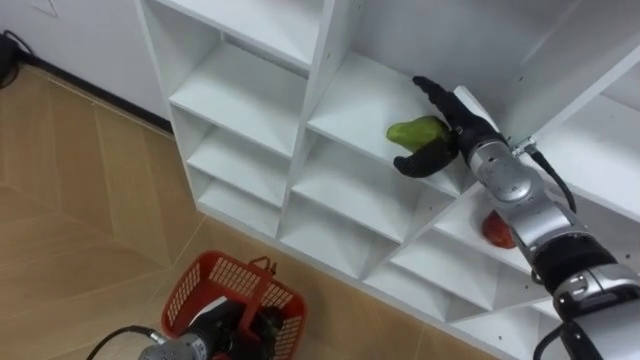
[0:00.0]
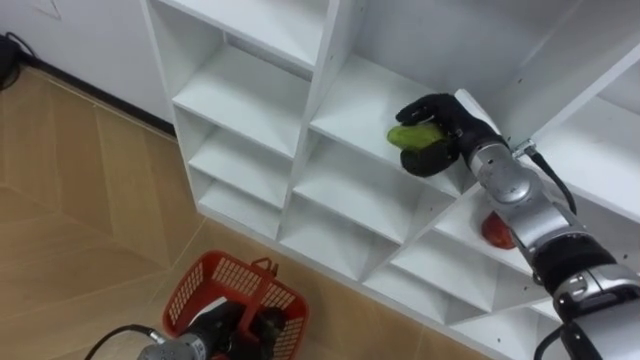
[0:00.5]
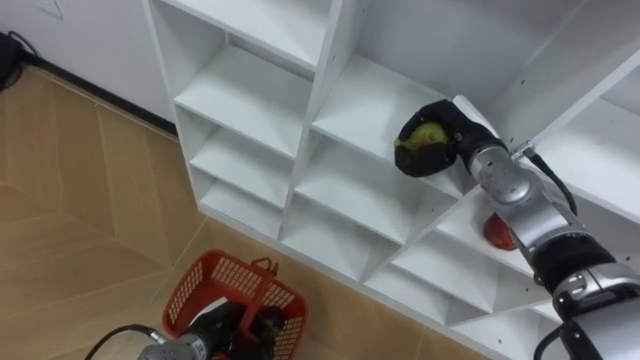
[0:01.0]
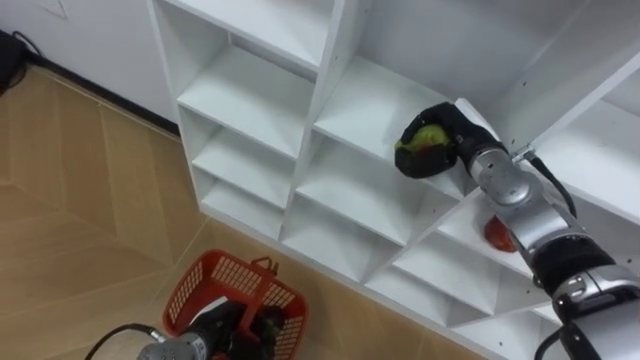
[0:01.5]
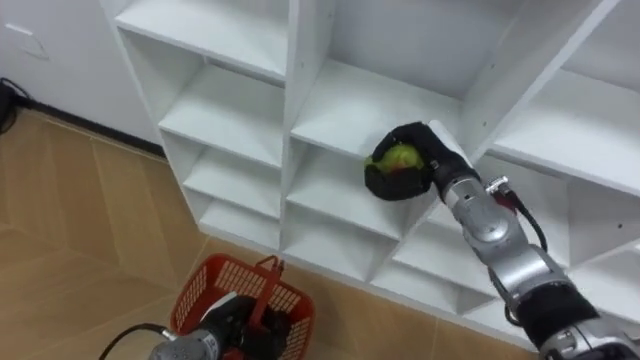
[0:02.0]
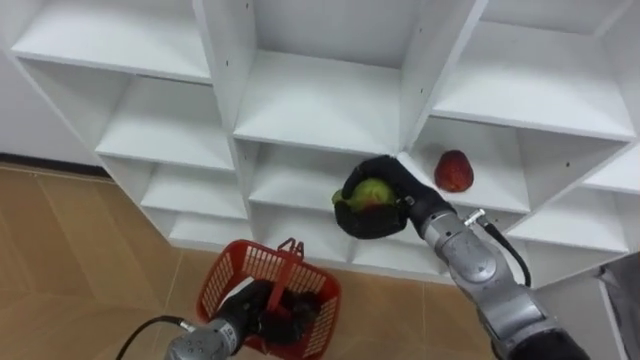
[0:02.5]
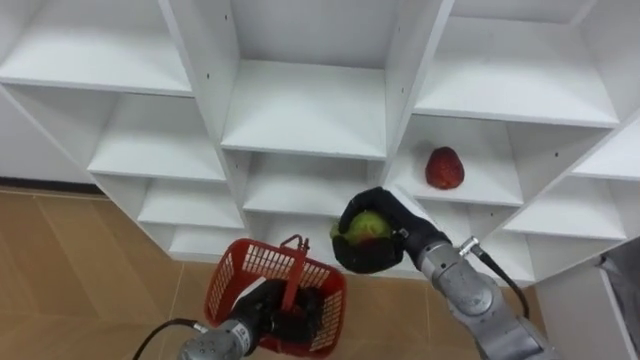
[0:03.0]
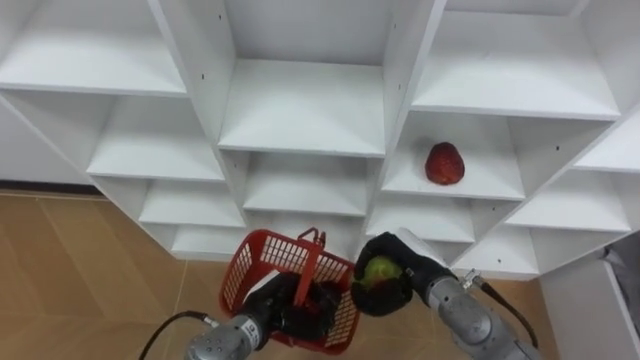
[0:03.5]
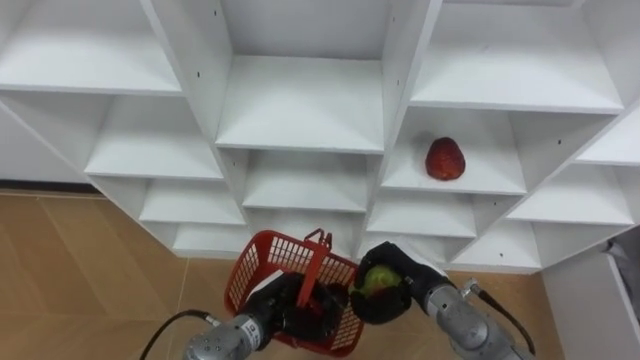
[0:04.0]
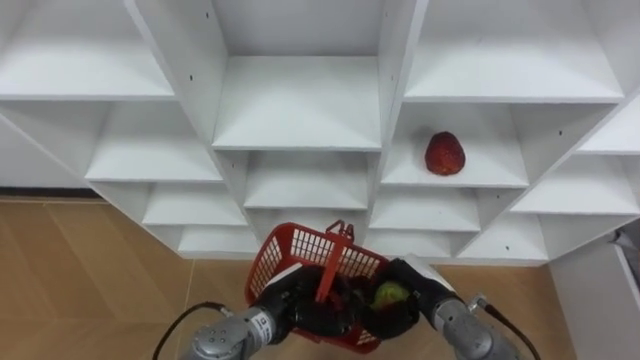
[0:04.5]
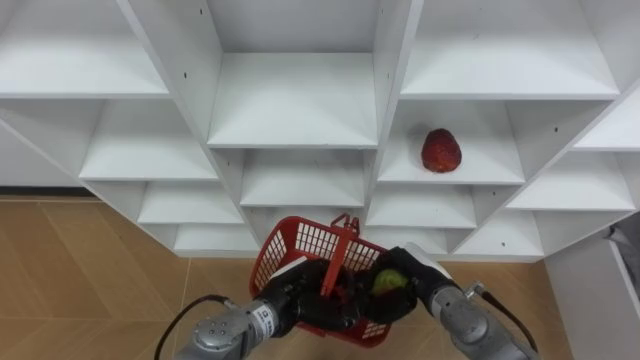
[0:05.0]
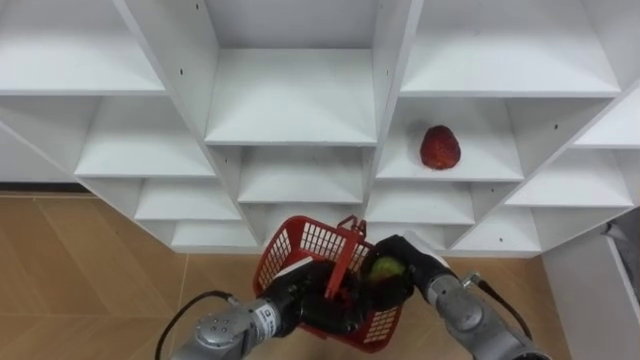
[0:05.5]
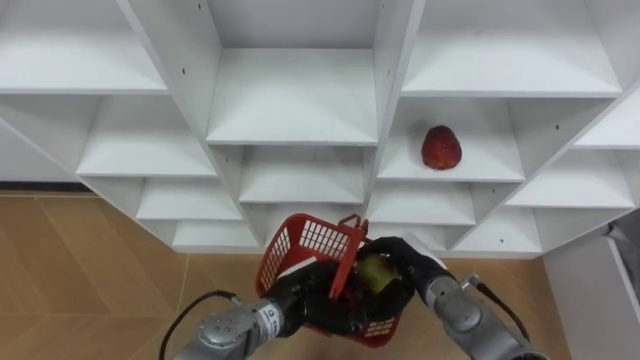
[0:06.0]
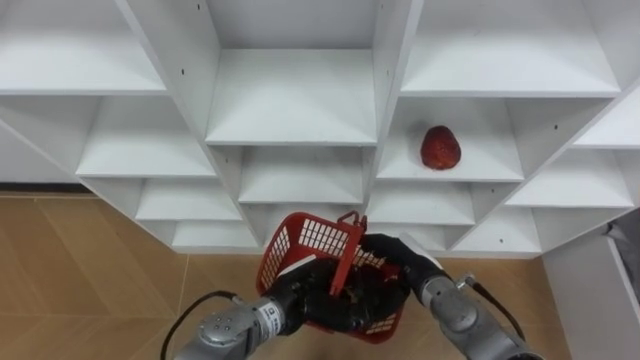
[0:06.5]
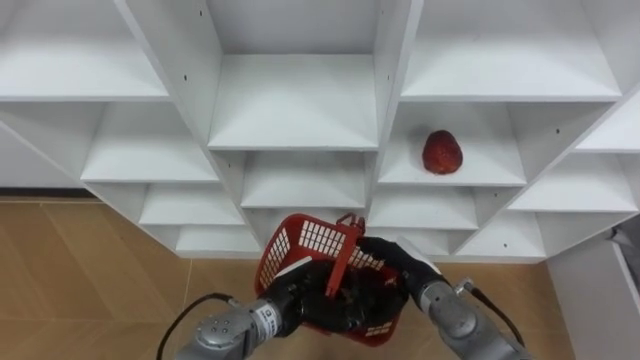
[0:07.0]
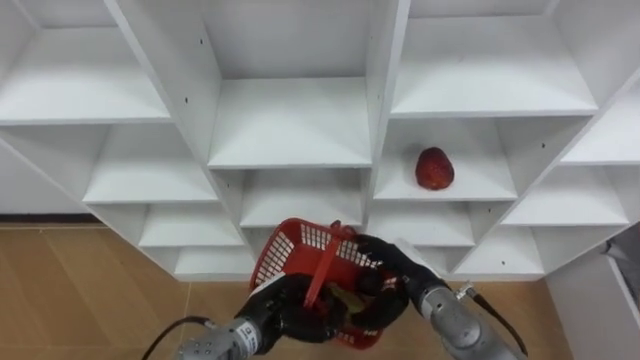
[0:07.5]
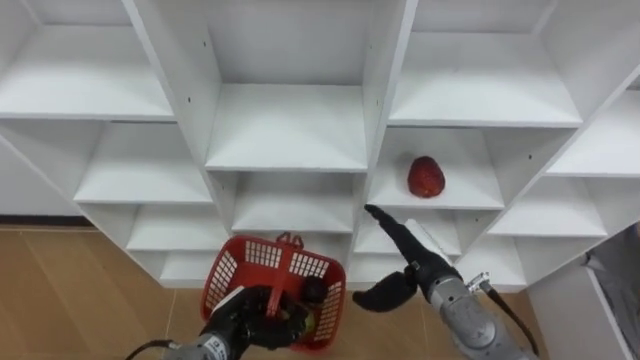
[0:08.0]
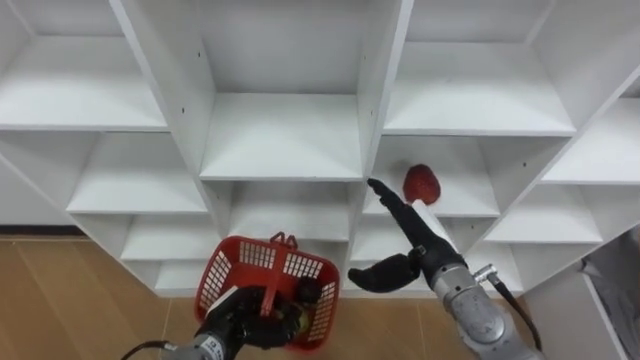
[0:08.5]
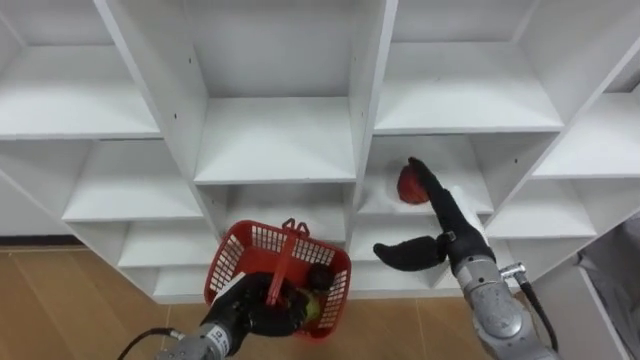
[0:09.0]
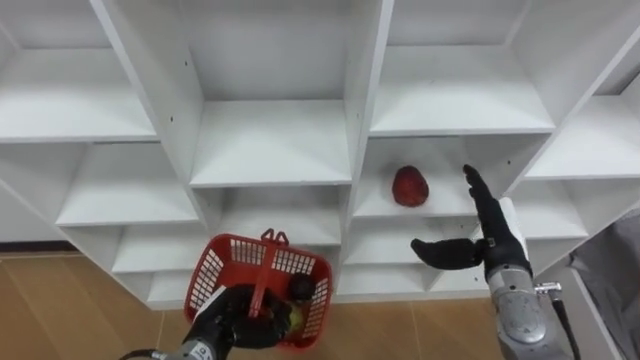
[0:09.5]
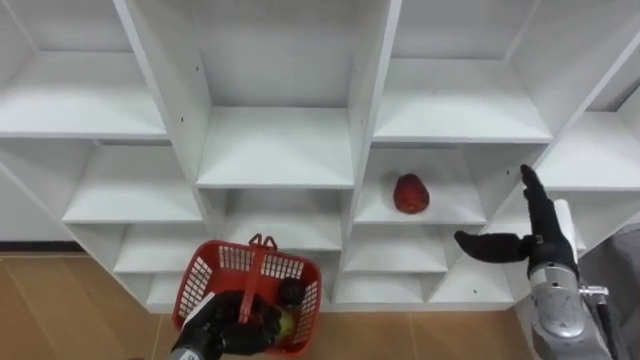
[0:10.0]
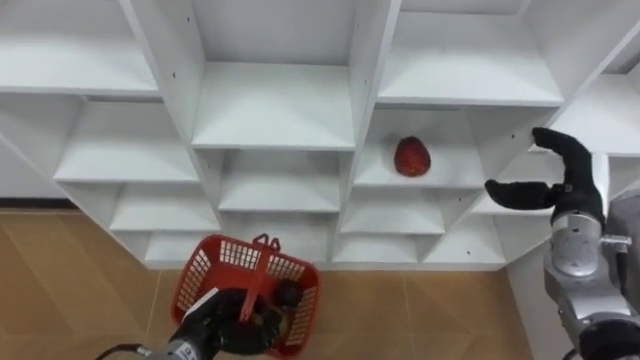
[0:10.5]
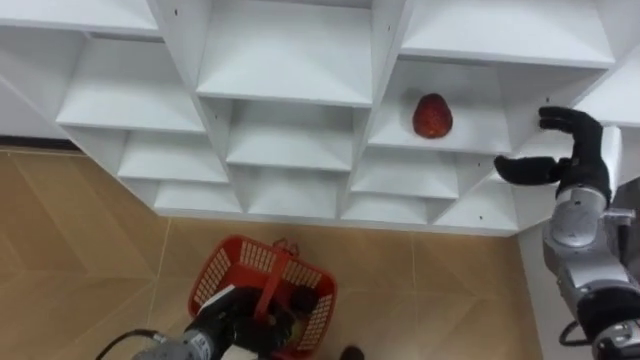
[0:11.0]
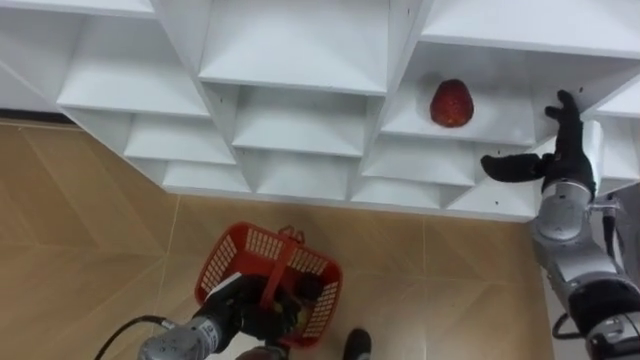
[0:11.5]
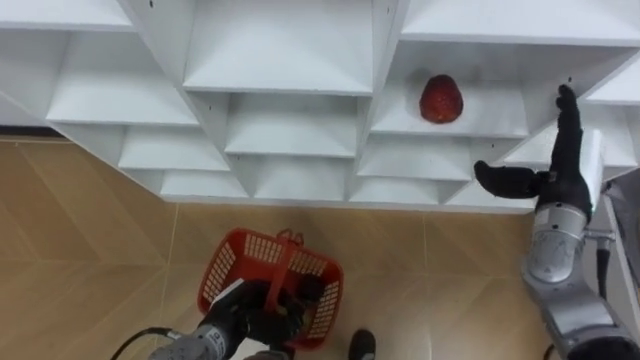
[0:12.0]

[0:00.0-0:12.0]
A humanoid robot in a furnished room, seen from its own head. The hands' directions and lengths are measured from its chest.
Task of the whole recording: Hold the basket and collect the fruits from 3 different cells of the closet into it.
0:00.0 to 0:02.0: The right hand changes place by some 5 cm, and closes up.
0:02.0 to 0:04.0: The right hand moves downward and backward, roughly 15 cm; the left hand is displaced to the right by some 5 cm.
0:04.0 to 0:06.0: The left hand moves some 5 cm; the right hand opens its fingers.
0:06.0 to 0:08.0: The left hand travels to the left by roughly 10 cm.
0:08.0 to 0:10.0: The right hand travels to the right by about 15 cm.
0:10.0 to 0:12.0: The right hand travels upward by some 10 cm.

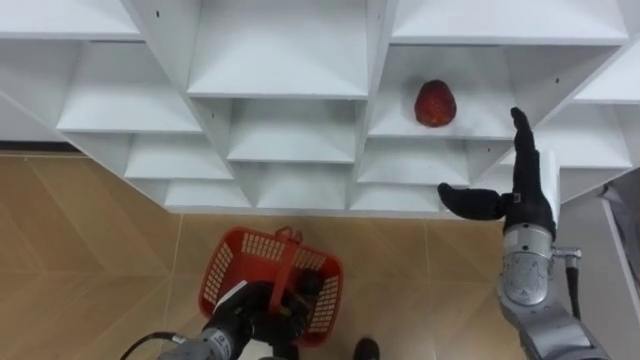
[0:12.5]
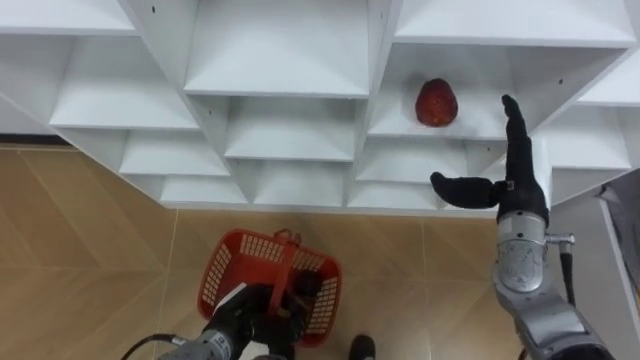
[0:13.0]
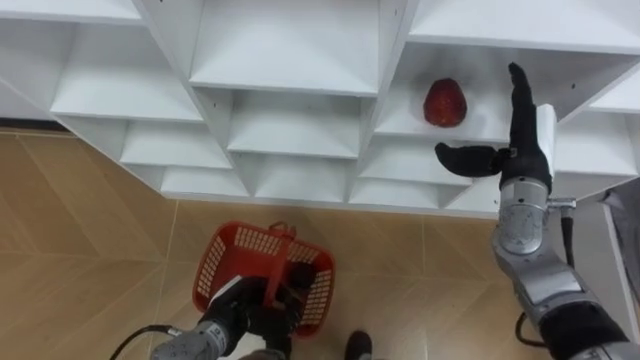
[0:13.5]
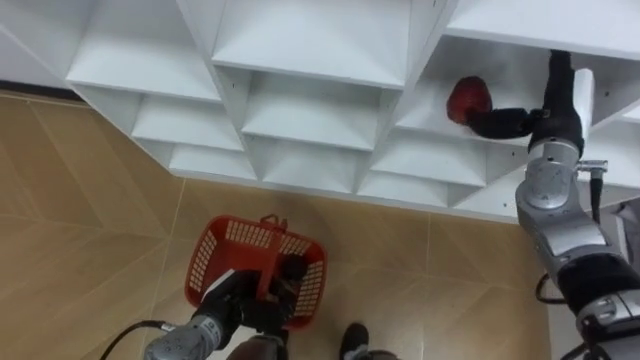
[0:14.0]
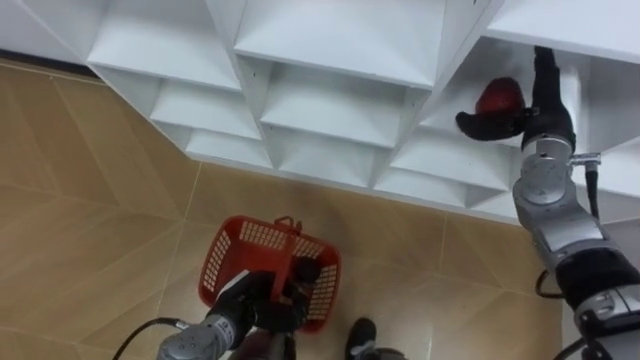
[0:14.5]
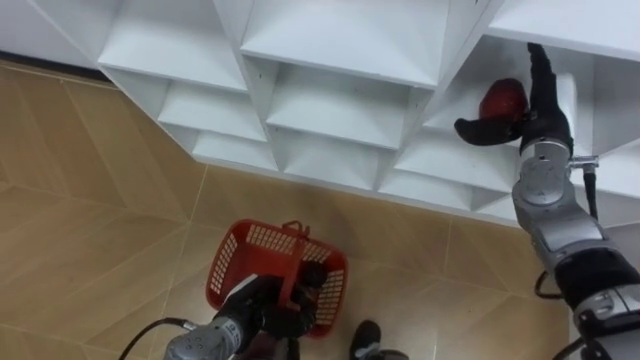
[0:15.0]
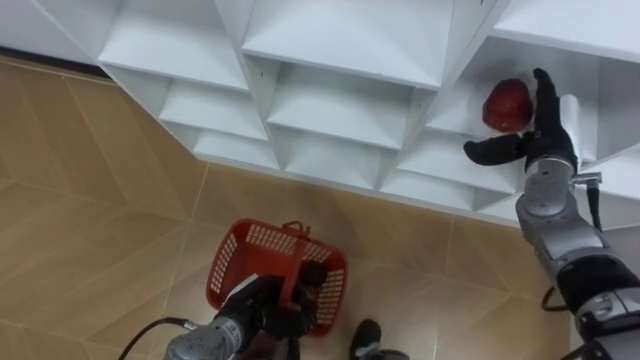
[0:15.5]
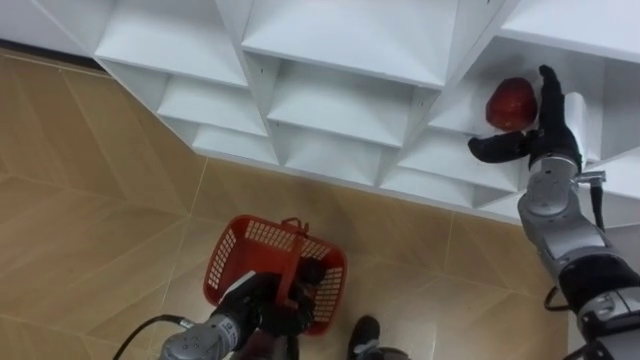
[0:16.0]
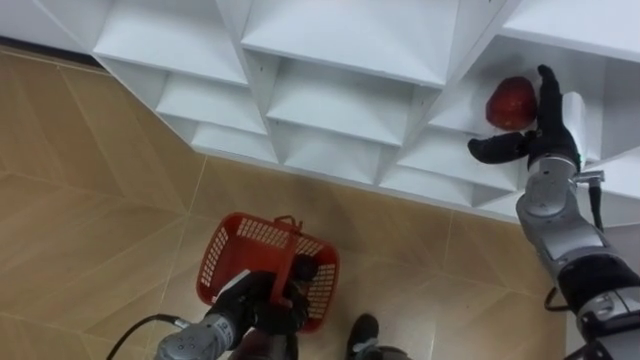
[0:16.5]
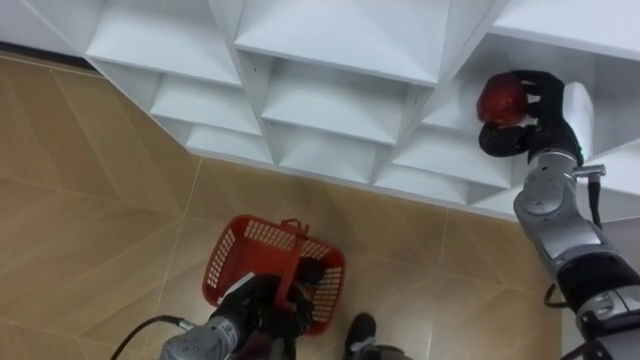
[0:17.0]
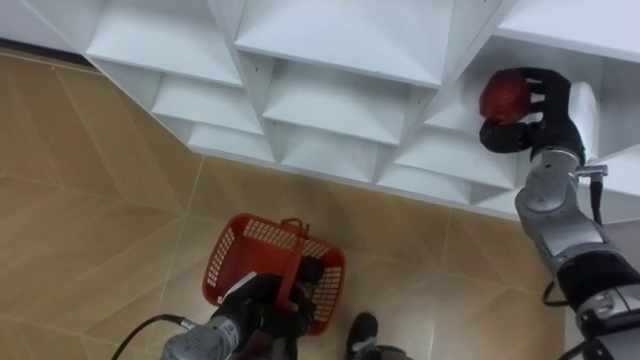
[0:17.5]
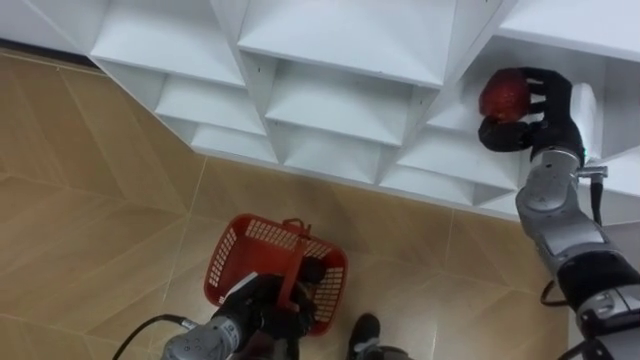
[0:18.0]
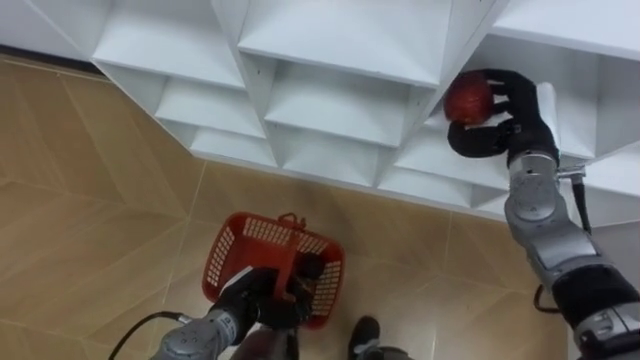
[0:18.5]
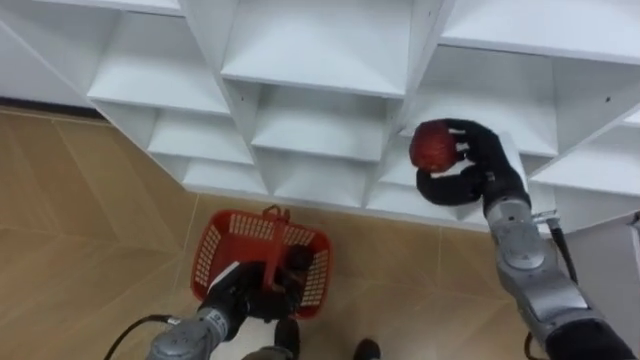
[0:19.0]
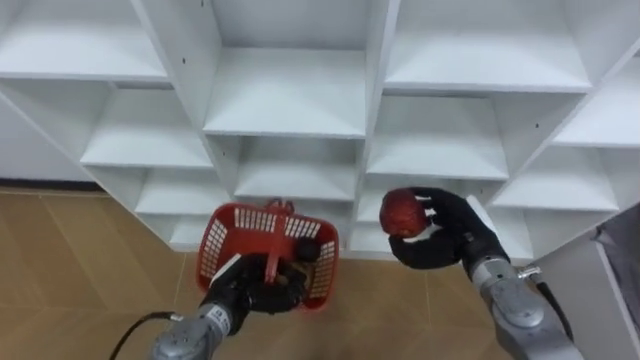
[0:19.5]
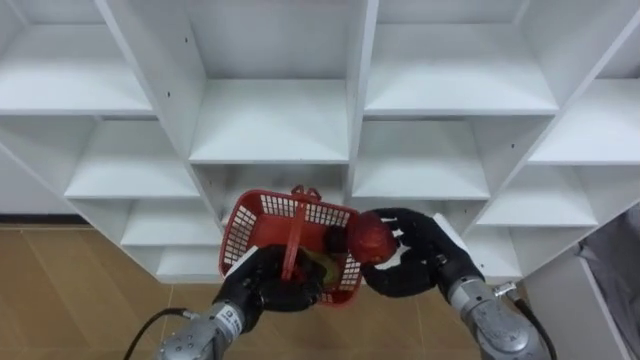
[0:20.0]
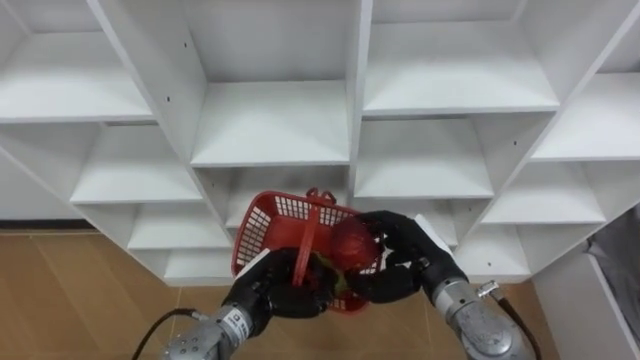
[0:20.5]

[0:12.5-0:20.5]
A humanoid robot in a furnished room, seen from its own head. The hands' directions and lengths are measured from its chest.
Task of the whole recording: Hold the basket and collect the fruits from 3 different cells of the closet into it.
0:12.5 to 0:14.5: The right hand moves forward and upward, roughly 10 cm.
0:16.5 to 0:18.5: The right hand closes up.
0:18.5 to 0:20.5: The left hand moves some 5 cm. Meanwhile the right hand heads backward, to the left and downward, covering approximately 20 cm.
